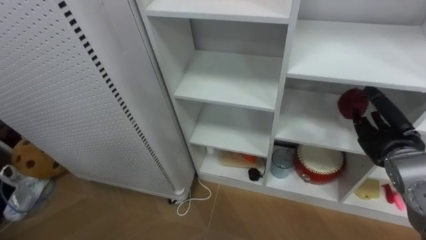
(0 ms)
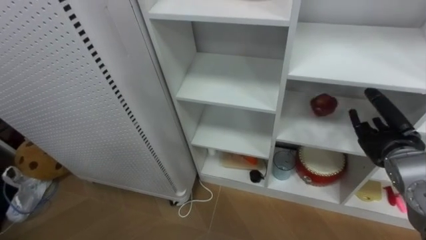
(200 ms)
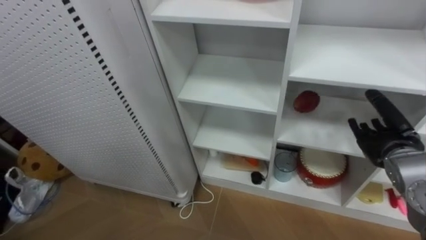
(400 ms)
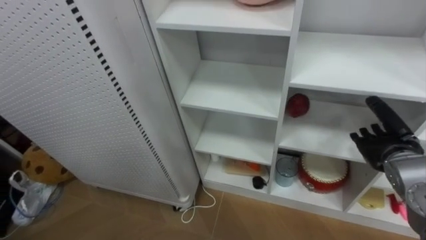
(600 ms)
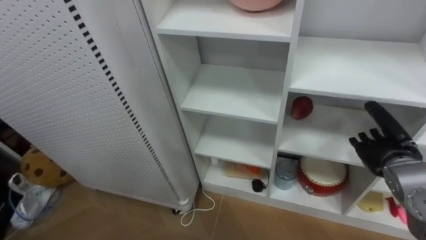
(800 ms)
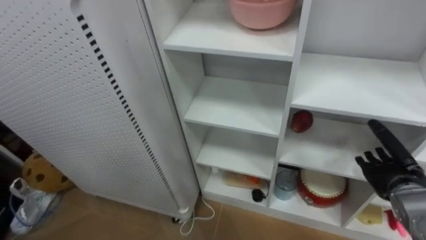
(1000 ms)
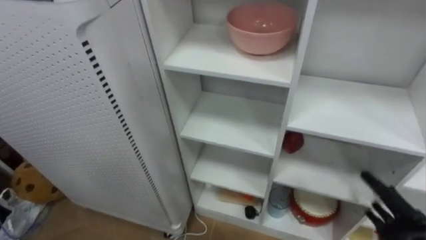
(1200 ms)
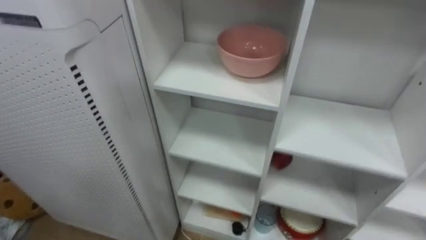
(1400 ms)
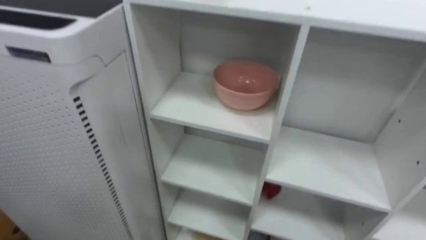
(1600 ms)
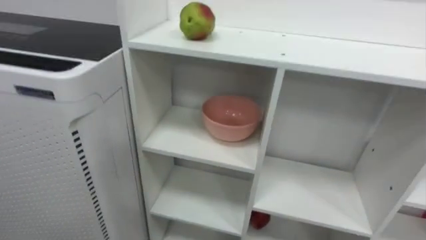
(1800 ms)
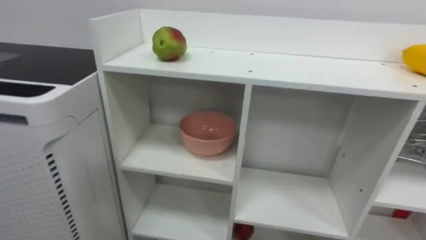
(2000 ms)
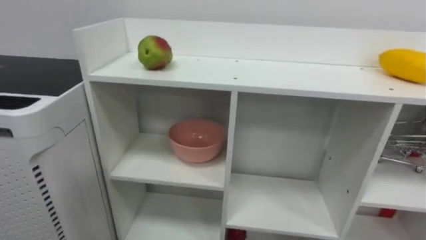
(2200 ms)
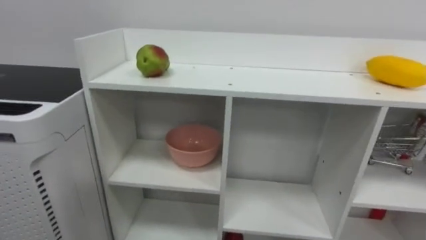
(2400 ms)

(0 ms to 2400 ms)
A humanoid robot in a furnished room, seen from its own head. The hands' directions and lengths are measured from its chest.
Task of the whole recording: Put the apple in the cell in the second column from the left and the second row from the top.
0 ms - 1200 ms: The right hand heads downward and backward, covering approximately 15 cm.

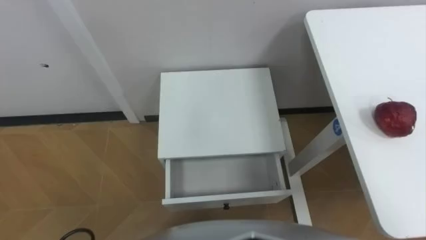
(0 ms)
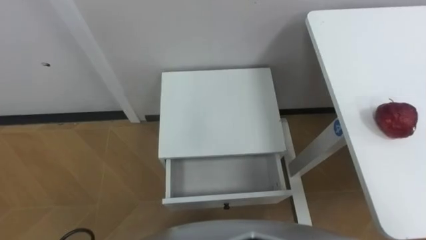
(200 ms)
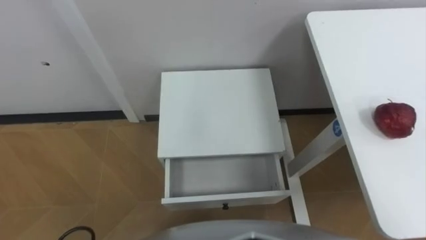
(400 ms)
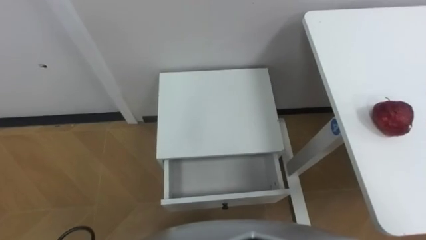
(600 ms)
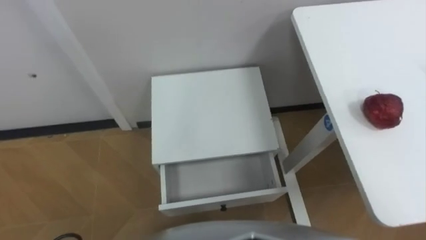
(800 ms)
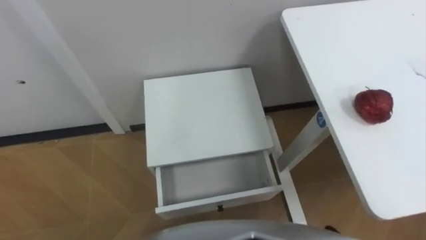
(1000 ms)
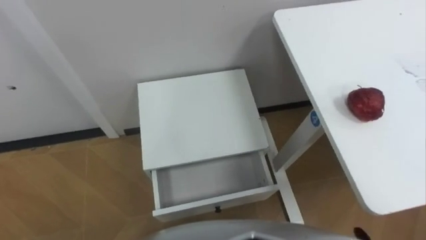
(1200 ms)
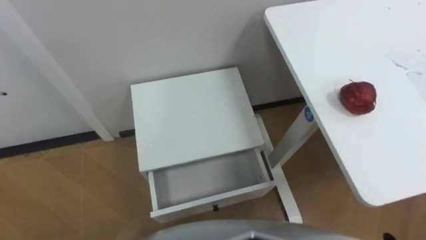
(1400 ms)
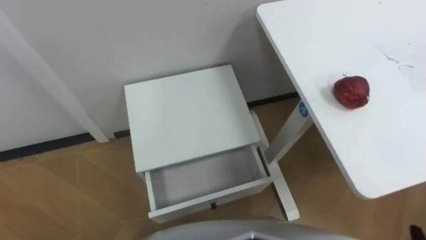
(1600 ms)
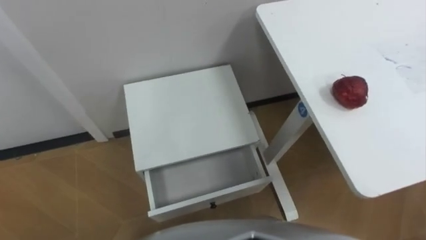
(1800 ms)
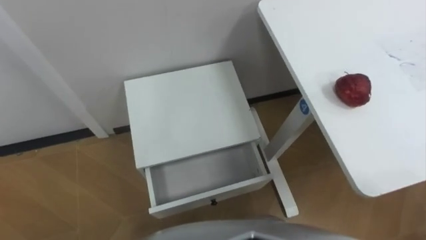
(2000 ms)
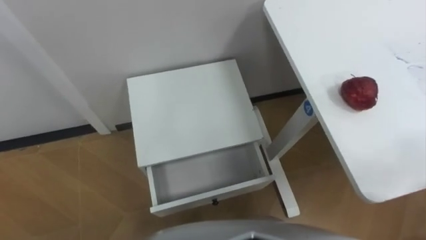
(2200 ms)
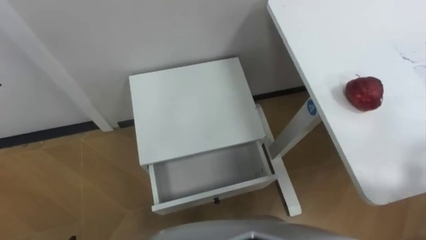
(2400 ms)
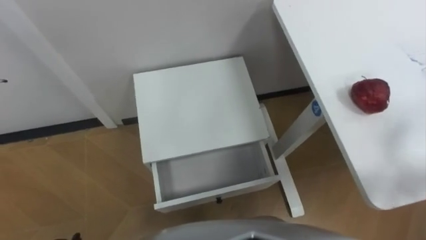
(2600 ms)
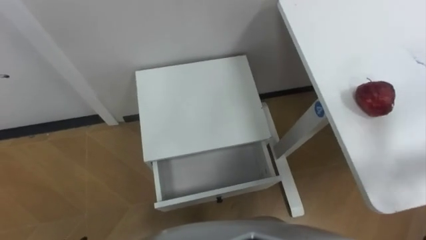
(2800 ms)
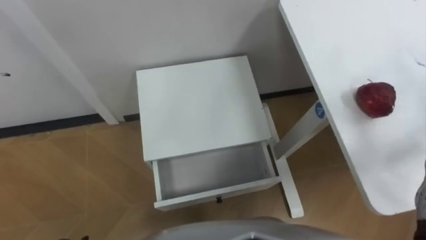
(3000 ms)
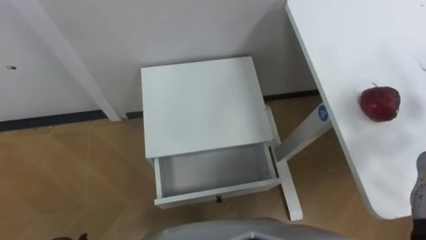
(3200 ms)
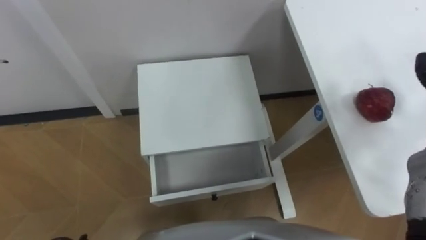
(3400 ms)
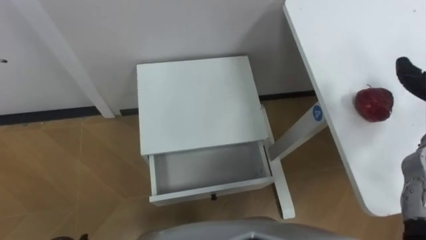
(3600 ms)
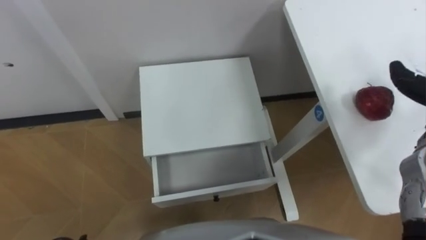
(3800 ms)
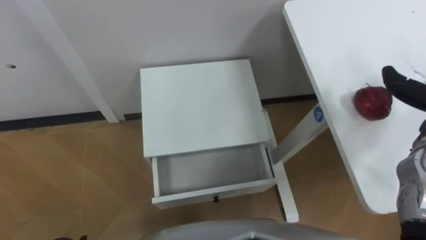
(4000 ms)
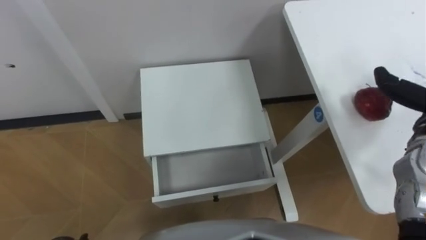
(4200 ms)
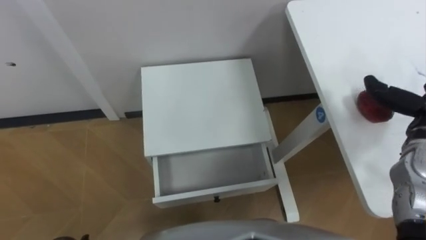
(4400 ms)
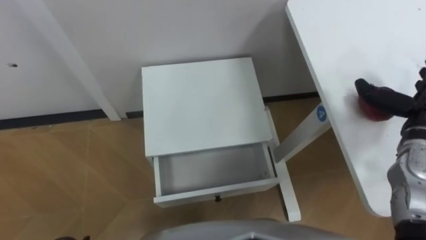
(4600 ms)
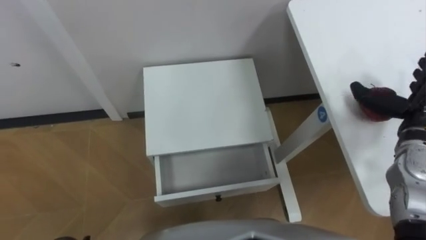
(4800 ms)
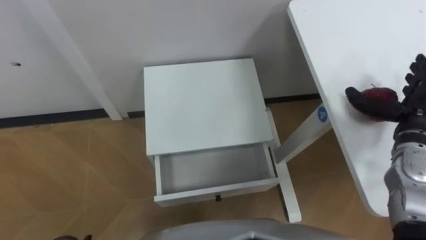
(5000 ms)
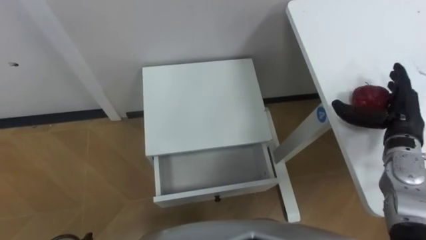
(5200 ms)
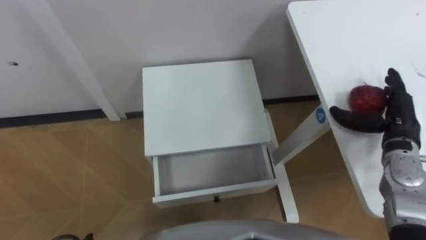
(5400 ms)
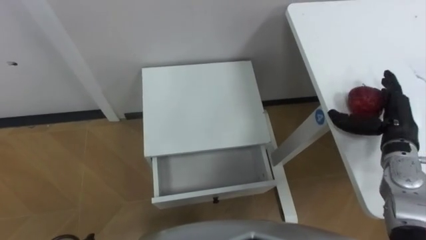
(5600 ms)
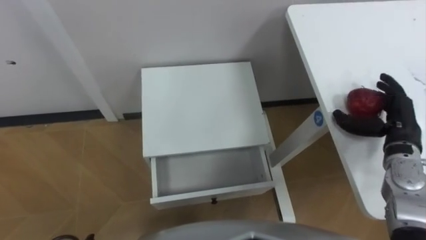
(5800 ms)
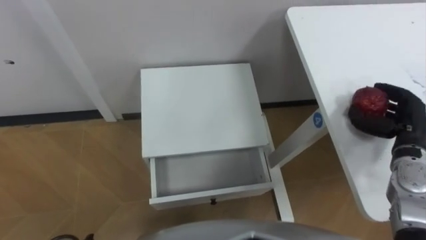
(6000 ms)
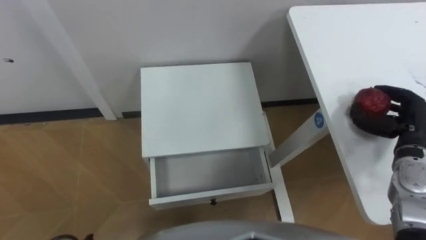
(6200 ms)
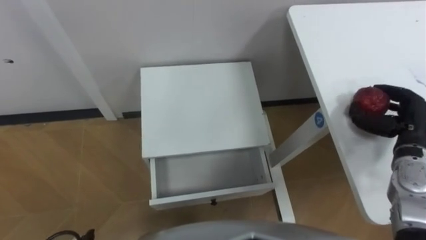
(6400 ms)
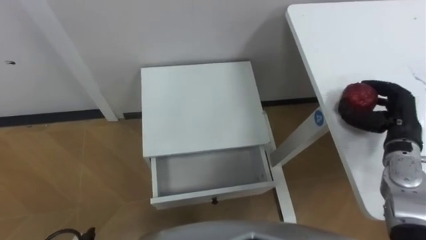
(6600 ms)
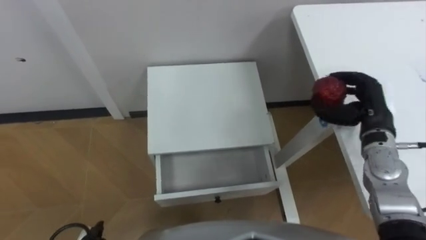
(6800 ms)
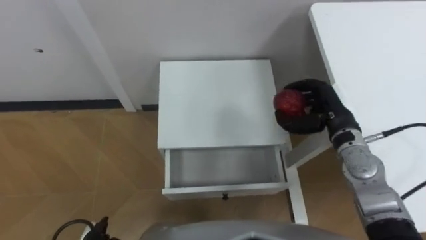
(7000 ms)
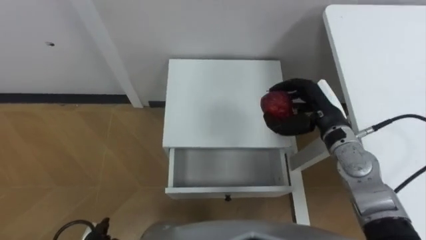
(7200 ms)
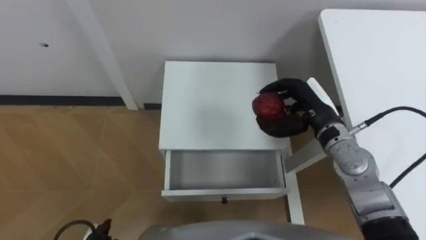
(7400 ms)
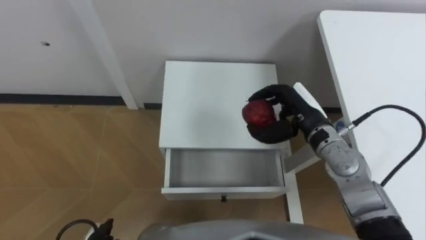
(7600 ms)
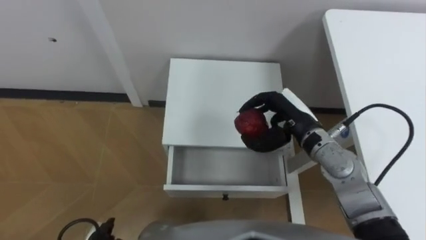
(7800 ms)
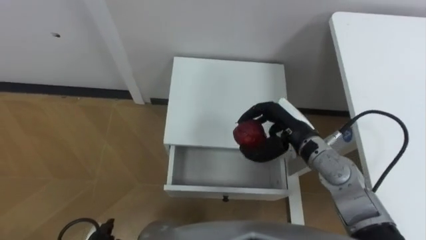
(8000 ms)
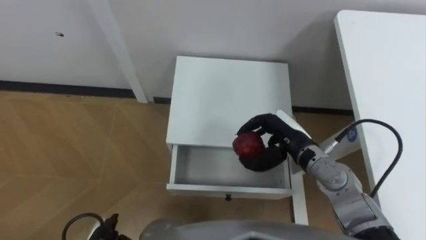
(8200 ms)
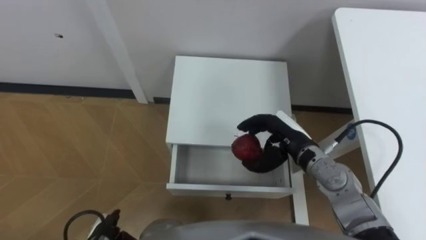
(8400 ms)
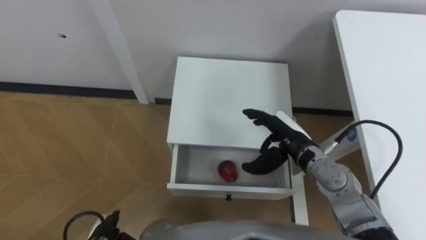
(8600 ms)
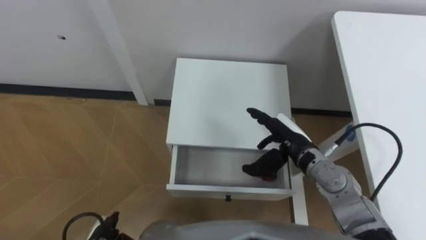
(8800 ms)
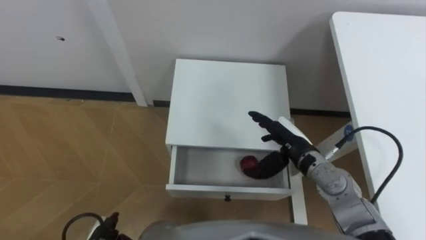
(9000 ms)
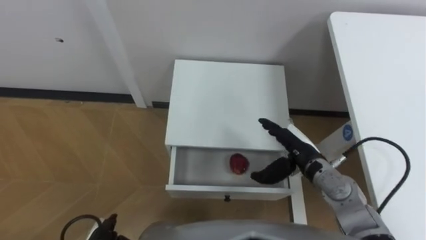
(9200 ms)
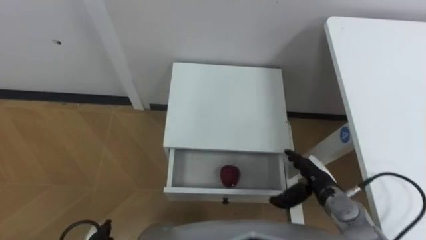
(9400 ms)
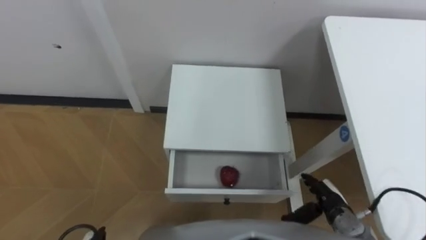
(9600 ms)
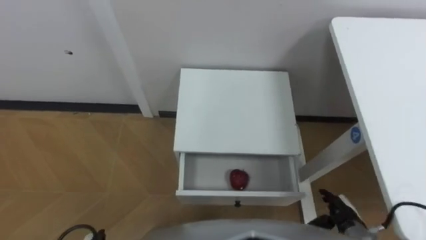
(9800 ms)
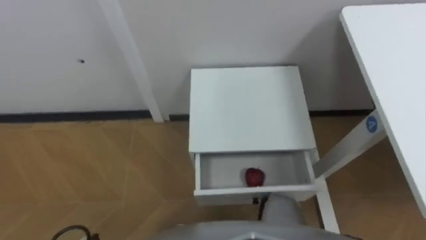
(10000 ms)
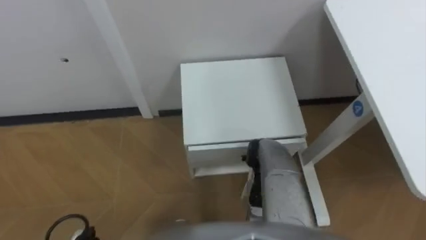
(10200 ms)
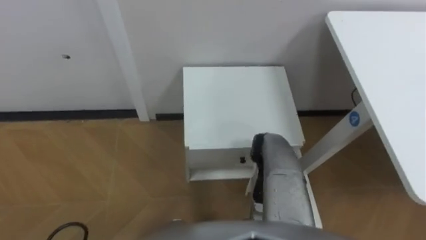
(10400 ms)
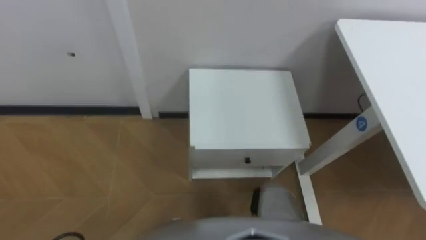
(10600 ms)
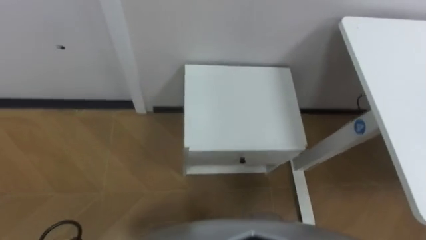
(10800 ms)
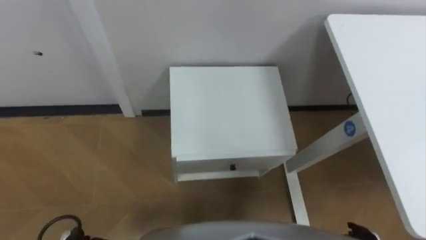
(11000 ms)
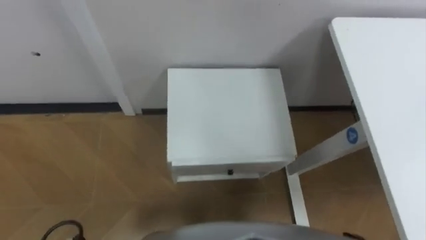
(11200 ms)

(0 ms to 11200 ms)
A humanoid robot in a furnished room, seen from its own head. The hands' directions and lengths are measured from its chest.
Task of the whole recording: Pick up the apple from the table, put it in the drawer, and close the drawer with leg.
4800 ms - 6400 ms: The right hand closes up.
6400 ms - 8000 ms: The right hand heads to the left, covering approximately 20 cm.
8000 ms - 9600 ms: The right hand goes about 20 cm downward, backward and to the right, and opens its fingers.

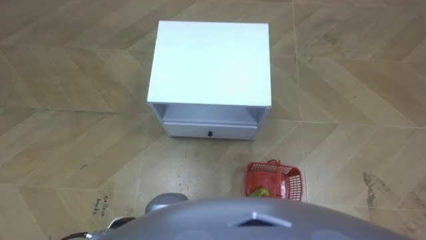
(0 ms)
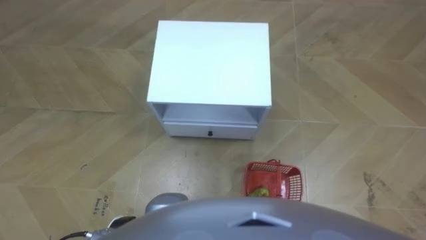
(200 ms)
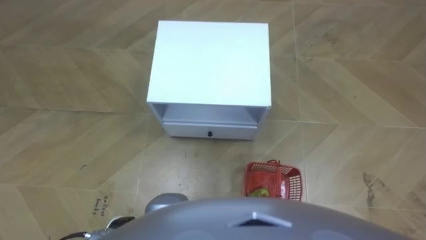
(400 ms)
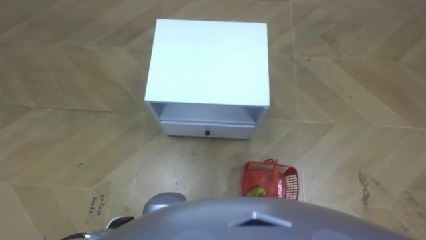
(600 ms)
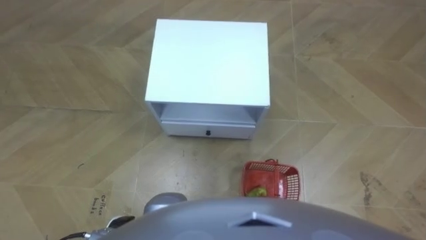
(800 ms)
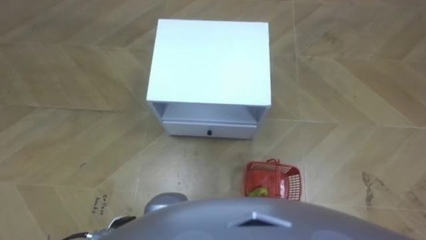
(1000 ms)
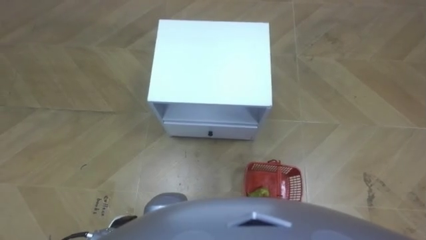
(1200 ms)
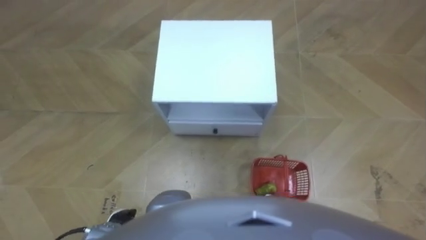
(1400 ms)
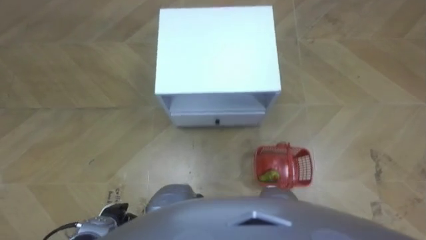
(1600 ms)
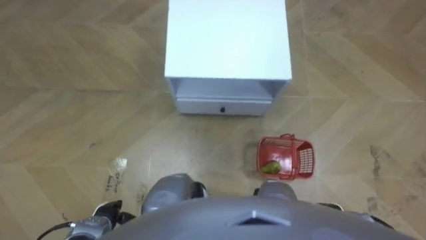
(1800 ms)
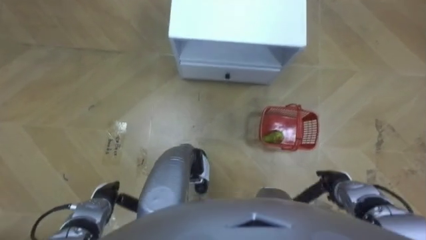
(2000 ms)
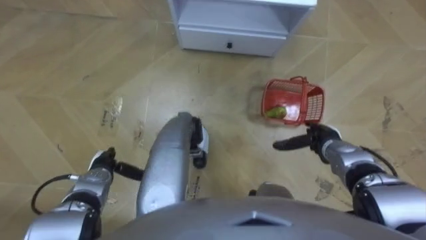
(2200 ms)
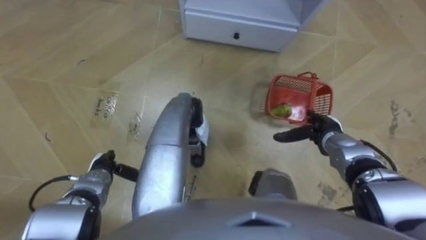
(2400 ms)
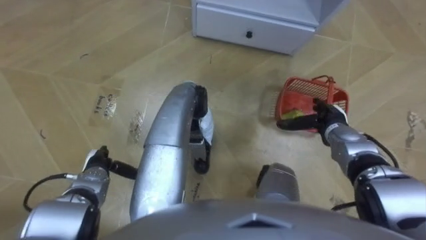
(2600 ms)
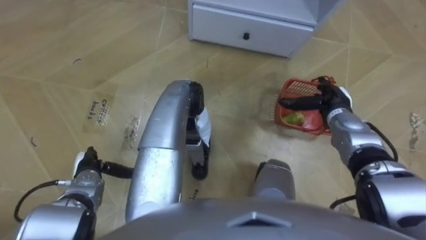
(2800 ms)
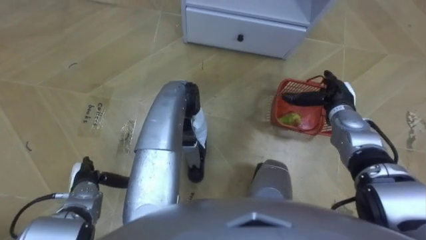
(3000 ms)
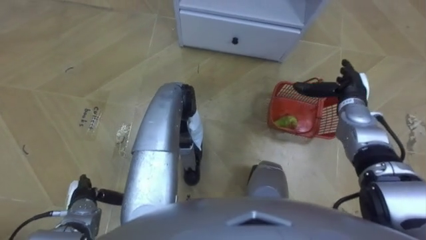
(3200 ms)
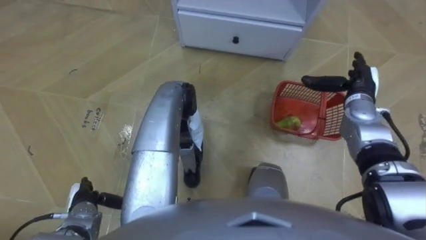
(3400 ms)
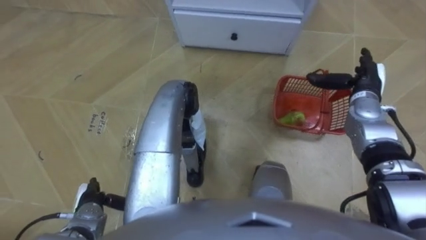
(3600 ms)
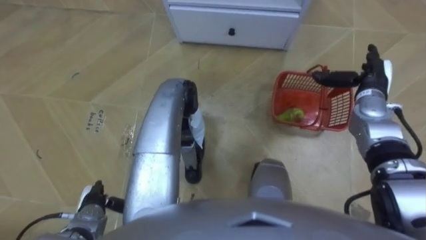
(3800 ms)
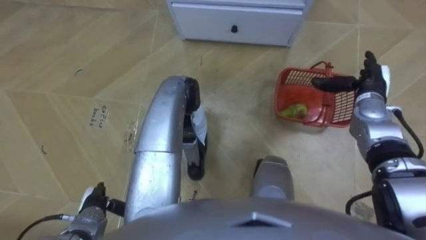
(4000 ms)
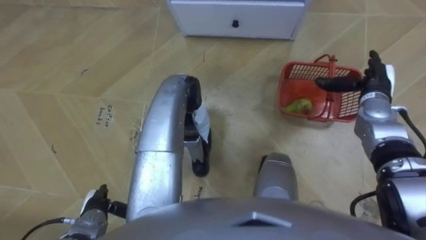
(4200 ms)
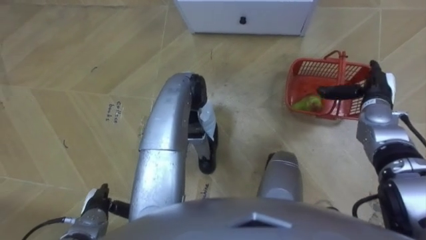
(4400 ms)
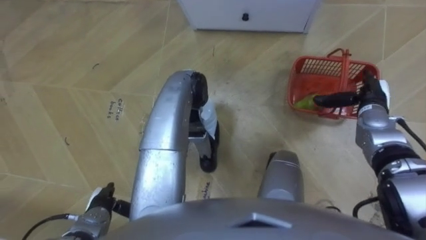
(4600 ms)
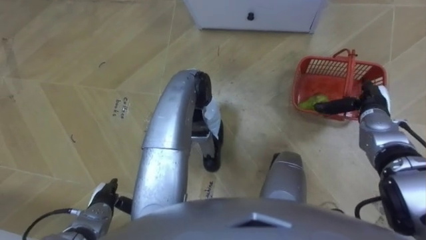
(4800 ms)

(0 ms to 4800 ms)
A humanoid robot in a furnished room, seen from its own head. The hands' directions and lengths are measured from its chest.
Task of the whole recording: Pick up the fruit basket from the floor and place it on the cabinet.
1600 ms - 3200 ms: The right hand goes about 30 cm forward and upward; the left hand shifts approximately 10 cm to the left and forward.
3200 ms - 4800 ms: The right hand moves about 5 cm.
